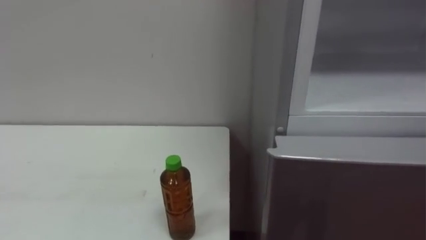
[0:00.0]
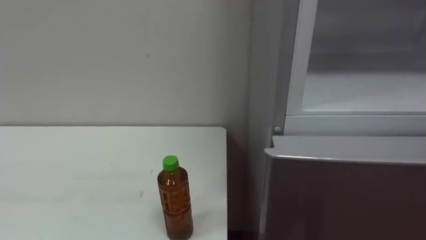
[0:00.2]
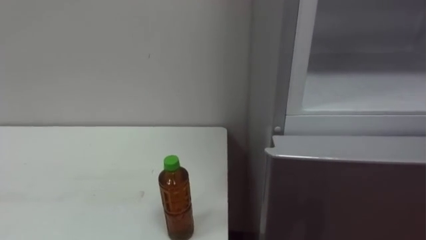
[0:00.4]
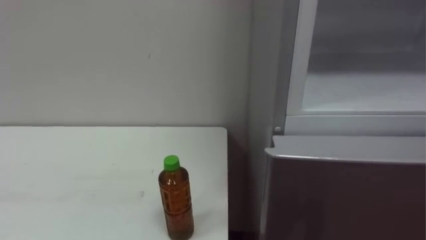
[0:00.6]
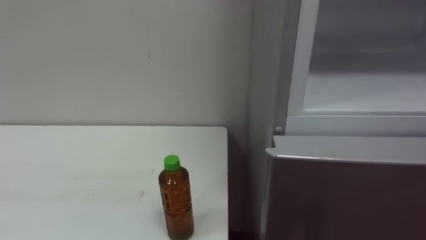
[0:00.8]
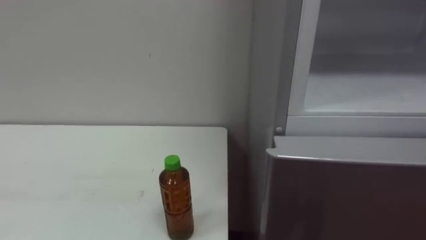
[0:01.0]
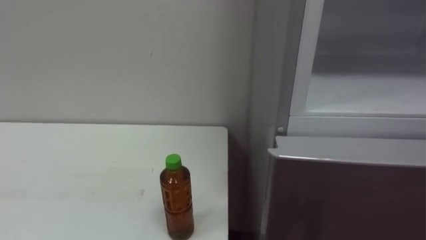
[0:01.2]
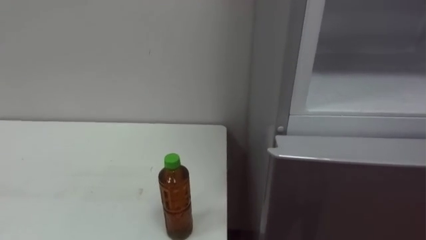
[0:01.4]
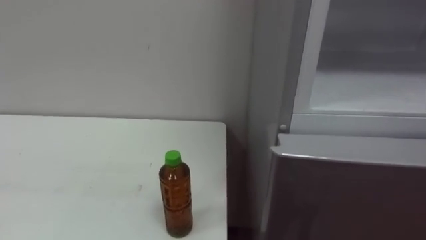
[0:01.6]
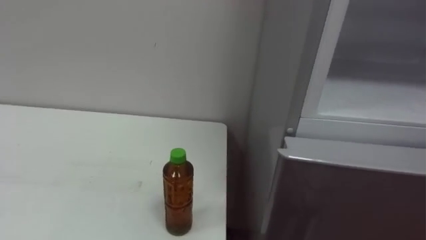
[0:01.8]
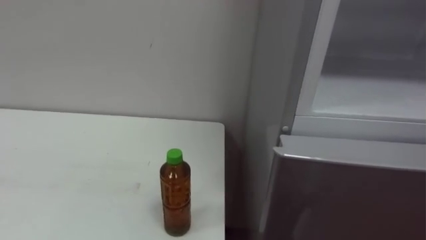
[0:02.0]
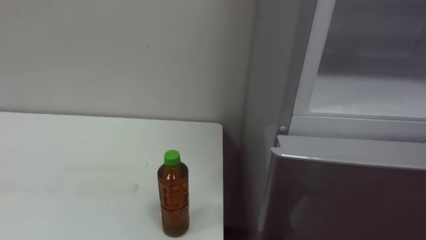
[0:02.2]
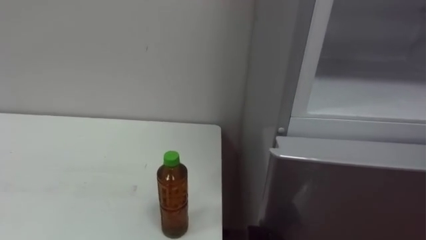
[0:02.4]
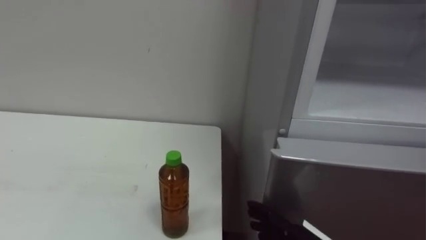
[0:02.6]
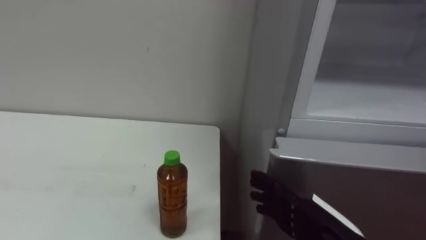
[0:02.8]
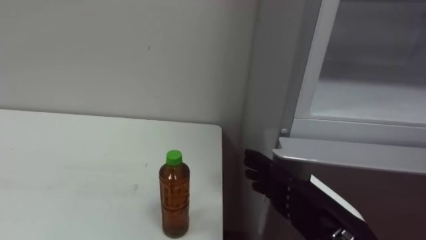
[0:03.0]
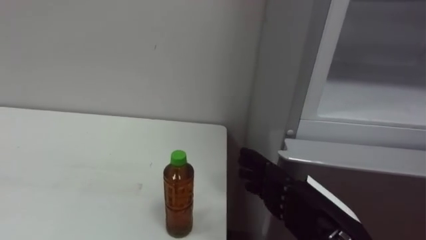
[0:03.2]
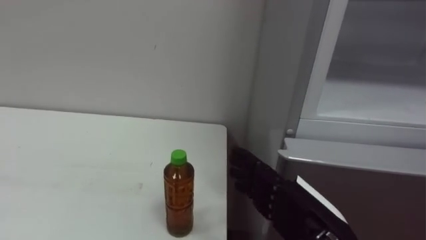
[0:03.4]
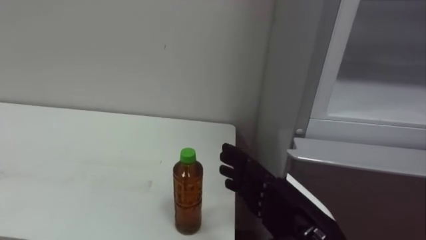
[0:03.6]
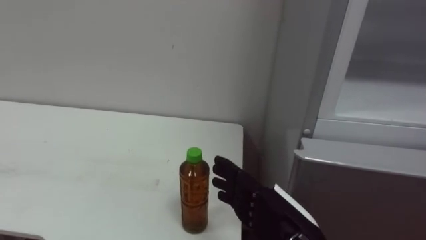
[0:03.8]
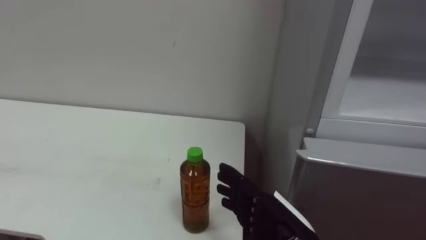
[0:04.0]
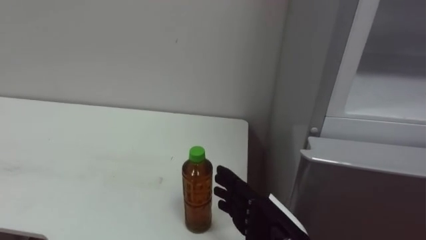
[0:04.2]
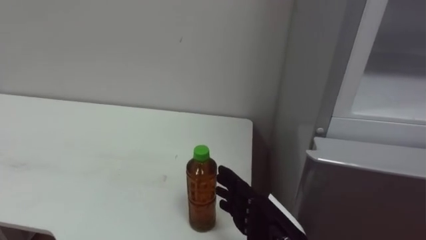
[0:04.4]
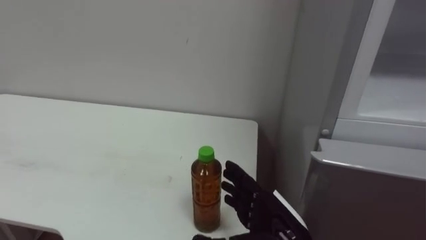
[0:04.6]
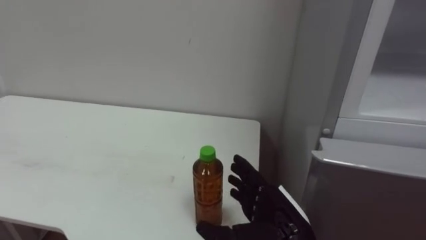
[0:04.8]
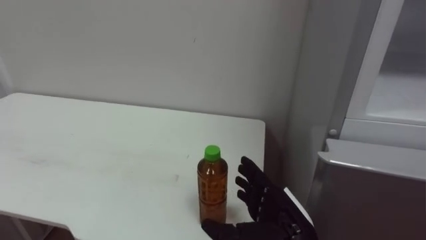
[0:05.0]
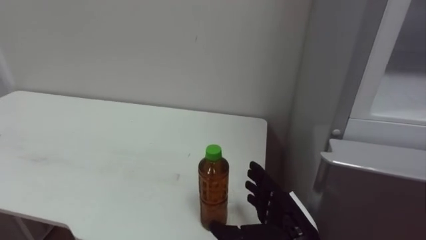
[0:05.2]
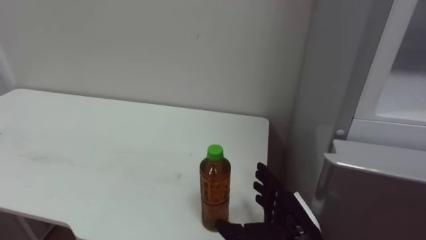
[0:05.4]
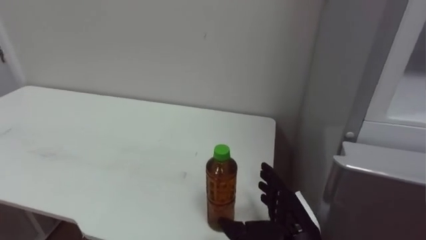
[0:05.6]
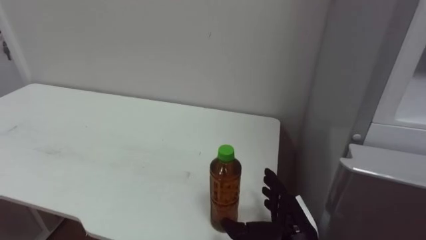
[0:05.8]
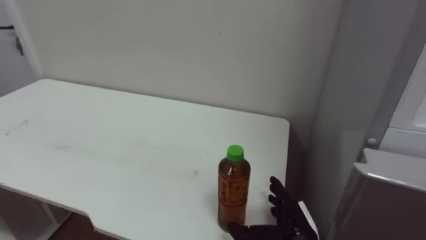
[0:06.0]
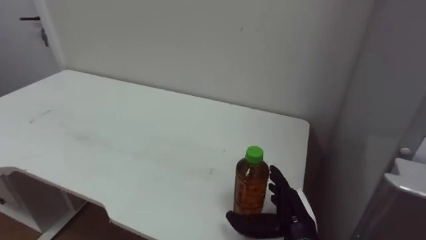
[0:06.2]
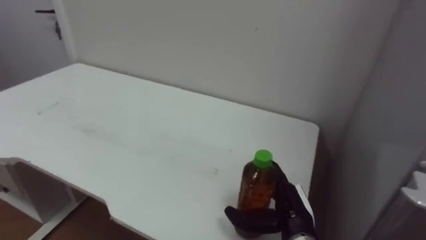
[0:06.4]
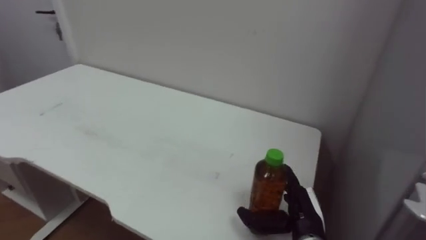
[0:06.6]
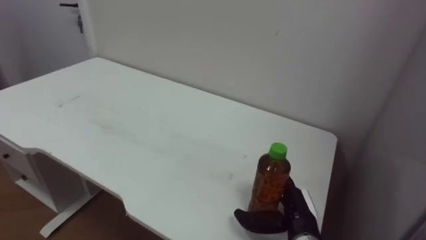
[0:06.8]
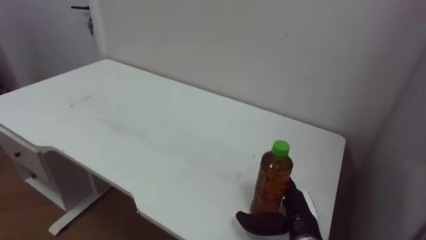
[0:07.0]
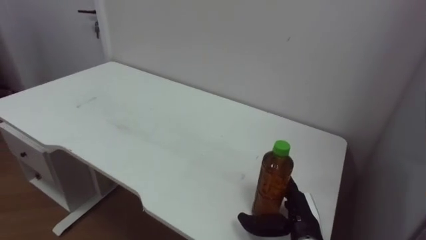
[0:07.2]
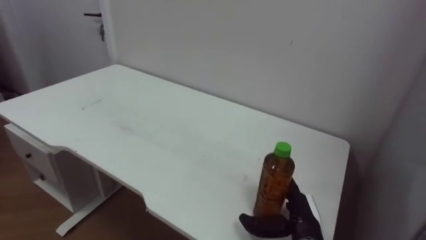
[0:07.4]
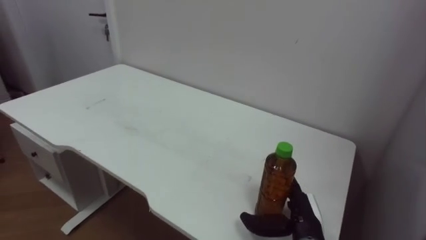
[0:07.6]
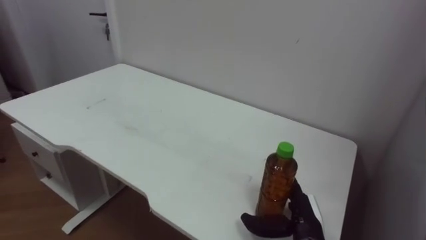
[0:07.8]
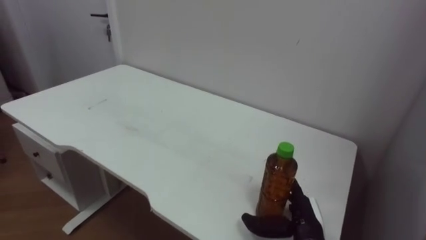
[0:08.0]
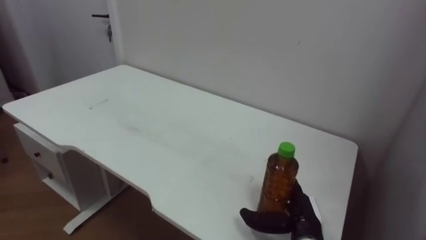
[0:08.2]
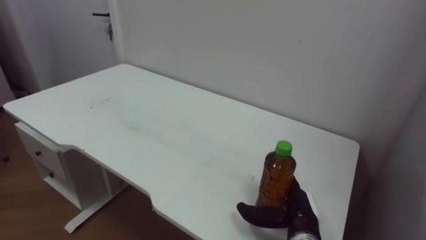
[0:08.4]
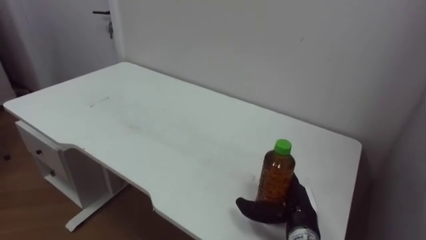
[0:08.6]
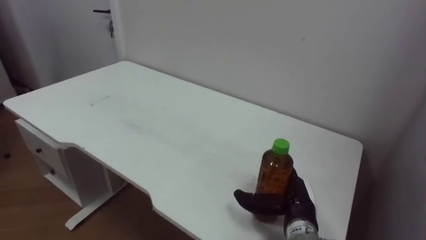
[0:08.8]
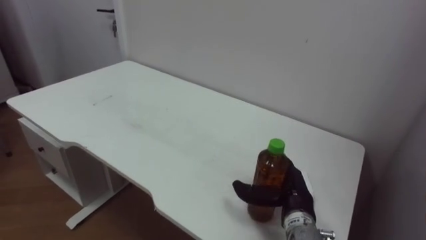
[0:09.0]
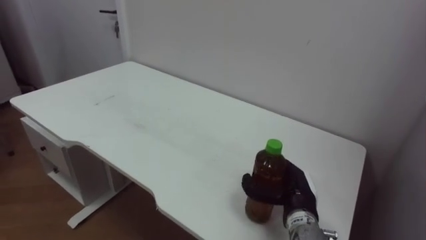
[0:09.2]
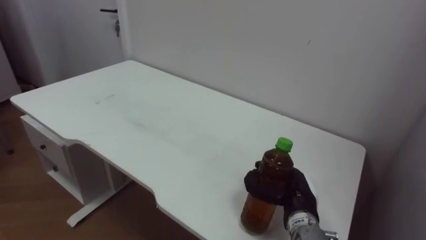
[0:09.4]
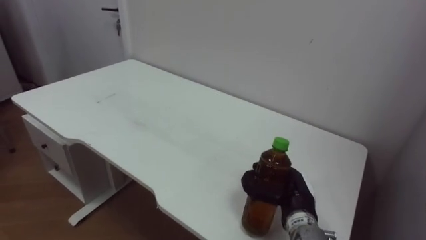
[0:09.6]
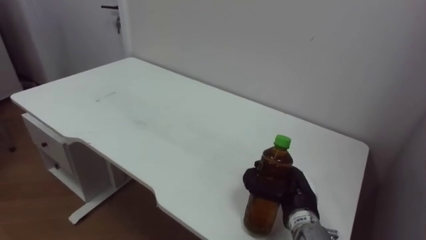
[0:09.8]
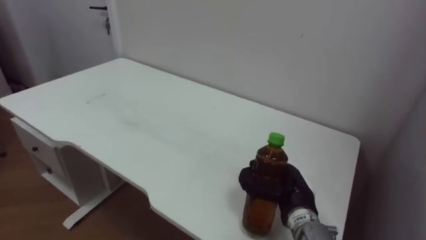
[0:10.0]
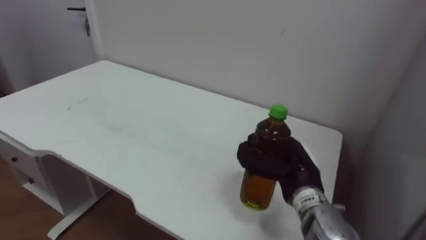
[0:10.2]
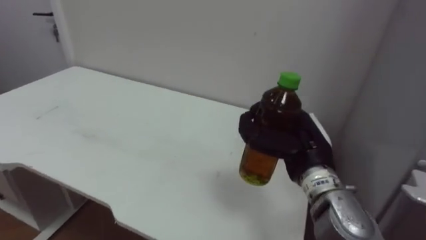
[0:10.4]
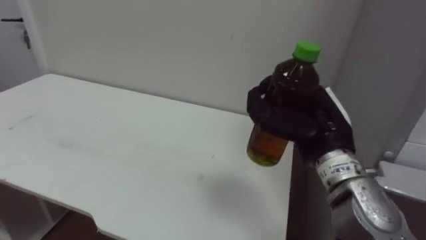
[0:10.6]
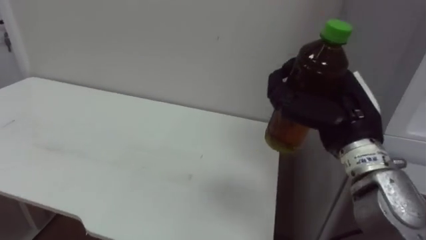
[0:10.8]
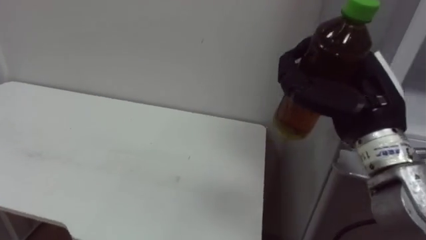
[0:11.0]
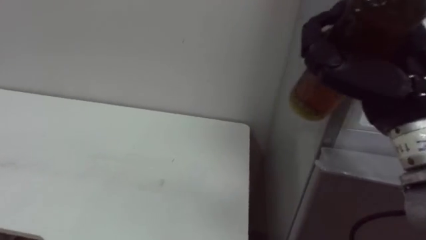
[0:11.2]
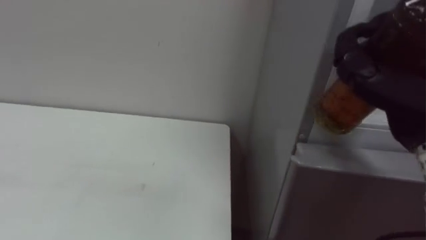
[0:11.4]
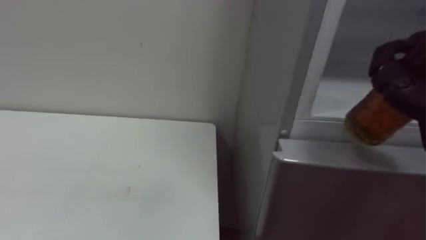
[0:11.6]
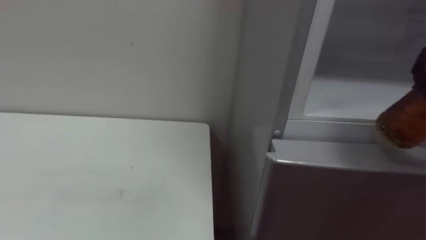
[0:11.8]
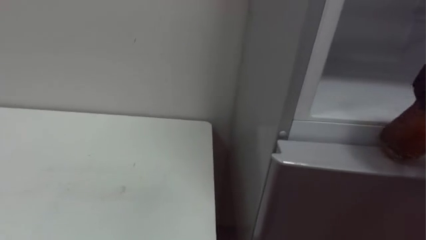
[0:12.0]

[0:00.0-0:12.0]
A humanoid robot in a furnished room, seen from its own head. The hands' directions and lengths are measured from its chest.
Task of the whole recording: Open the upper refrigerator door, put the drink from the table into the refrigerator, and then close the refrigerator door.
0:03.0 to 0:04.4: The right hand heads to the left, covering about 5 cm.
0:04.4 to 0:06.0: The right hand moves downward, roughly 5 cm.
0:09.0 to 0:10.4: The right hand shifts approximately 10 cm upward, and closes its fingers.

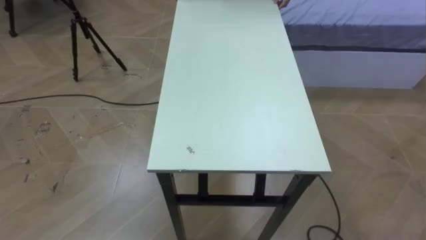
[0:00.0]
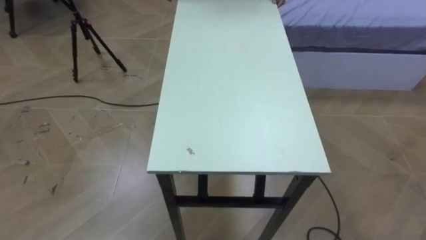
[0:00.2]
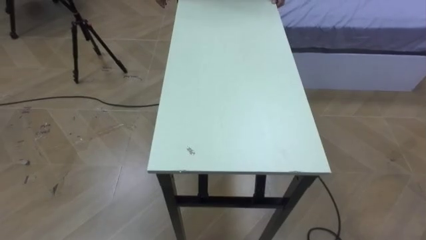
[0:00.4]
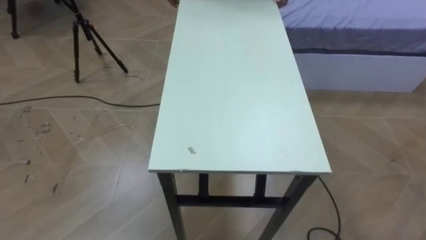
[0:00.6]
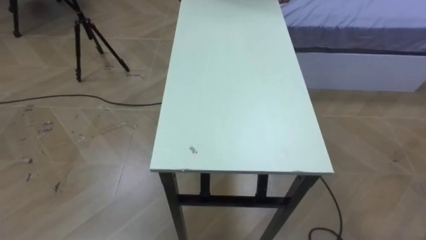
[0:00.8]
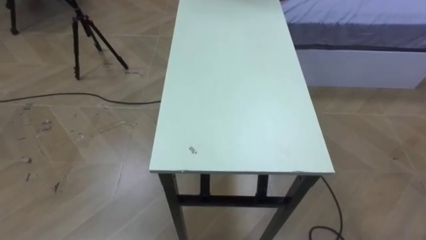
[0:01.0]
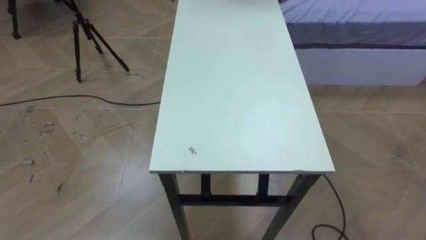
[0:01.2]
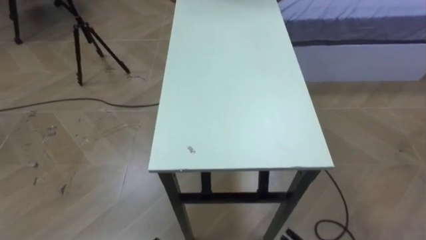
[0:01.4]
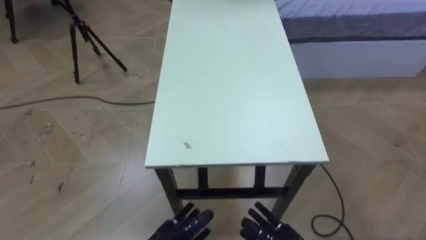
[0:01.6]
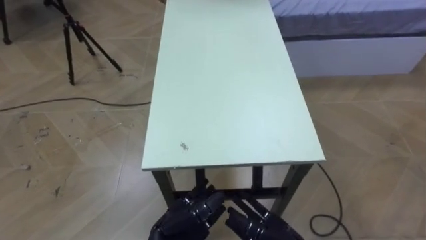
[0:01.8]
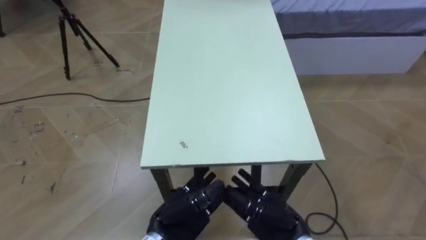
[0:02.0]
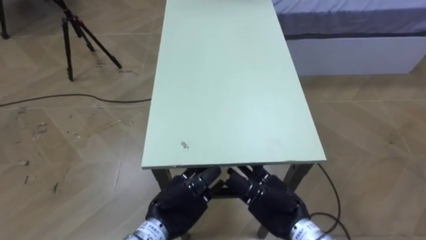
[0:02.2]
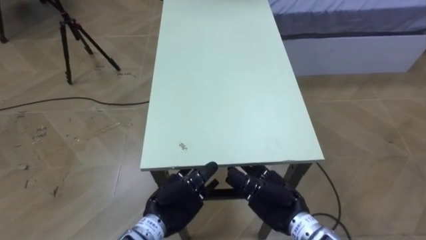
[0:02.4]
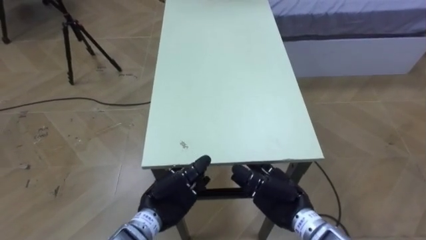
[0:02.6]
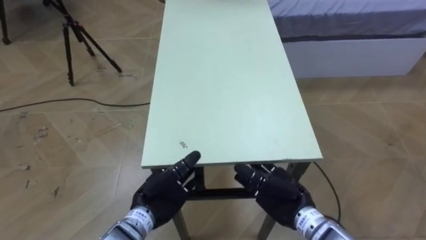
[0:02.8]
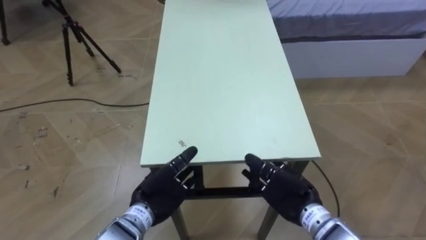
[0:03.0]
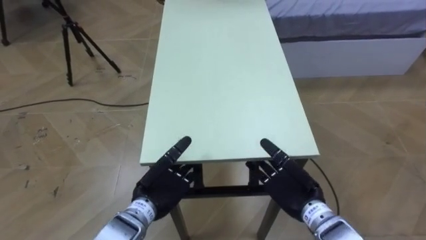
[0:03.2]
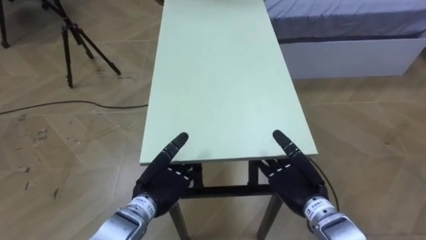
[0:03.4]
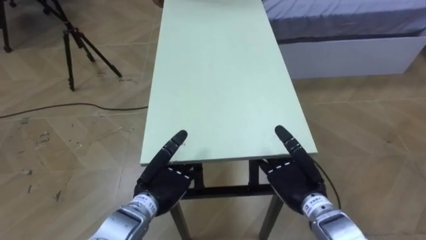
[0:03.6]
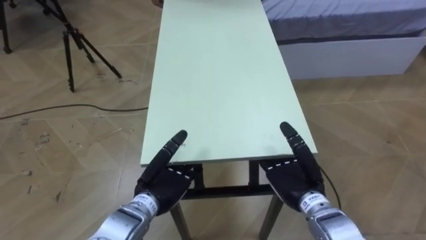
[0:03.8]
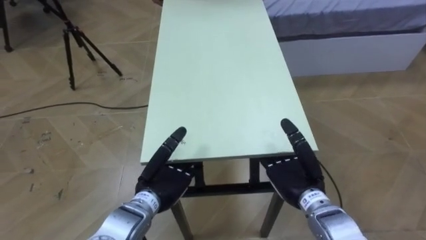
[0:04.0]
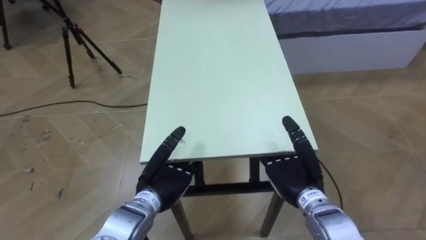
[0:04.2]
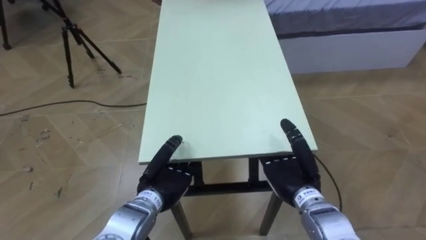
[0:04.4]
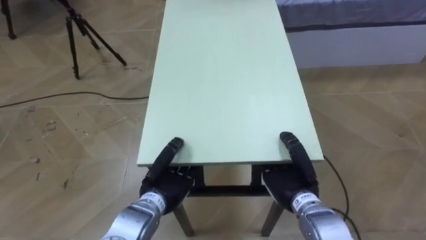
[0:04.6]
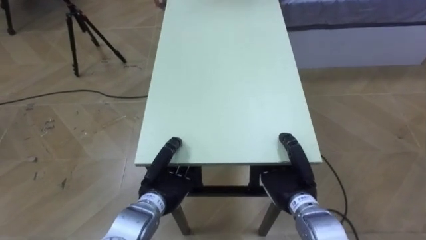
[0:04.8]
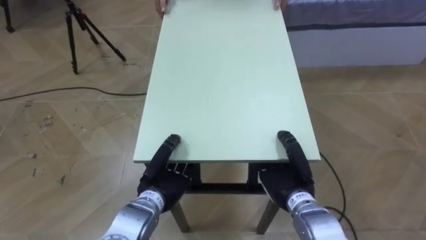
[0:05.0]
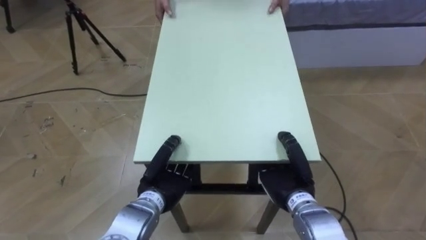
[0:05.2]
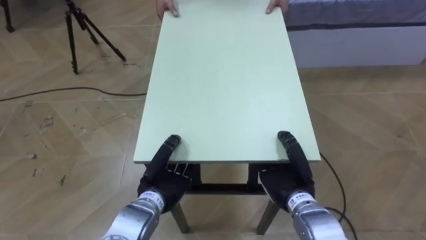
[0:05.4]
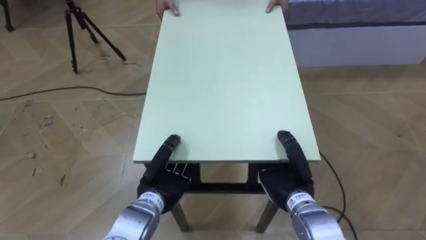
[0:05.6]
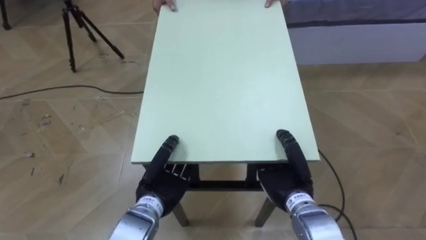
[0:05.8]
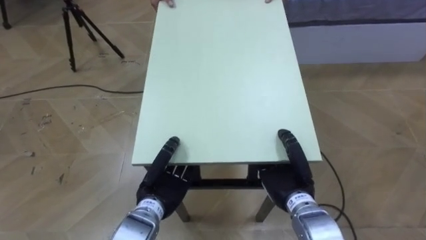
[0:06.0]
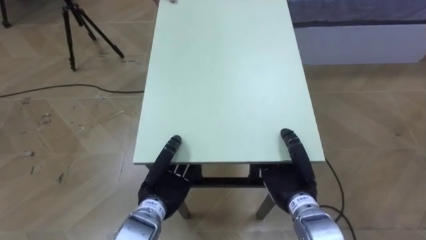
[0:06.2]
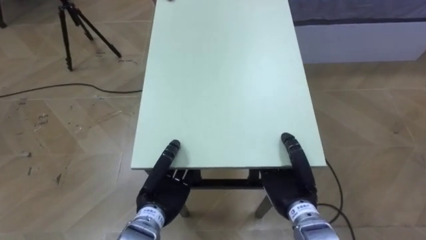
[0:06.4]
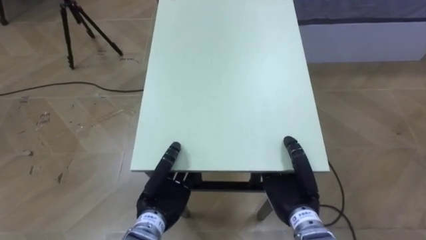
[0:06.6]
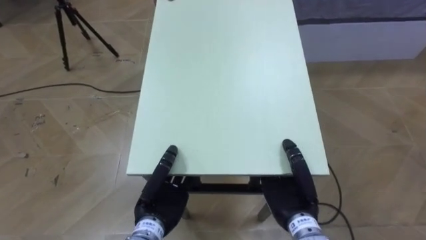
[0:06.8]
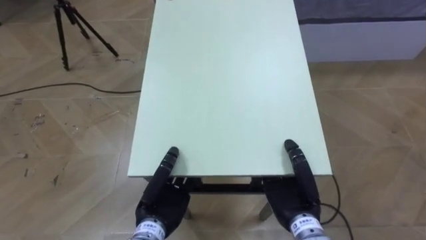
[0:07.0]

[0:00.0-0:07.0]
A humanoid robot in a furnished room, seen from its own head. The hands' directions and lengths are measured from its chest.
Task of the whole recording: Move the table to the back left with someone.
0:04.2 to 0:05.6: The left hand closes. The right hand closes up.
